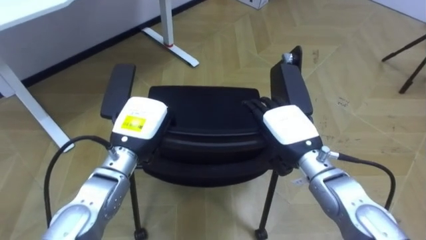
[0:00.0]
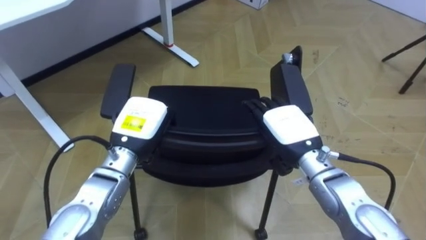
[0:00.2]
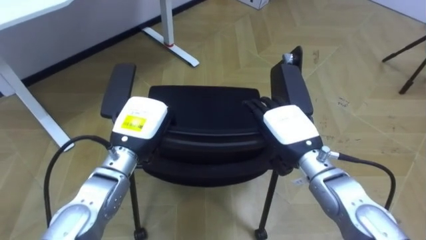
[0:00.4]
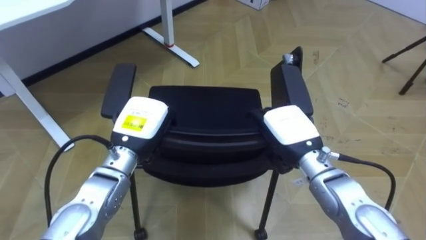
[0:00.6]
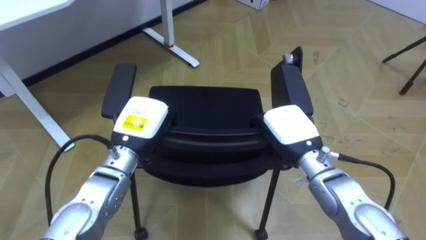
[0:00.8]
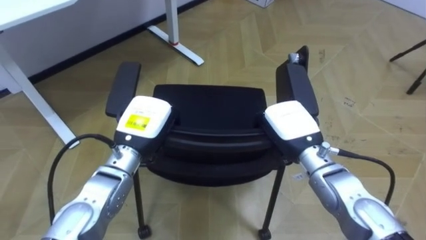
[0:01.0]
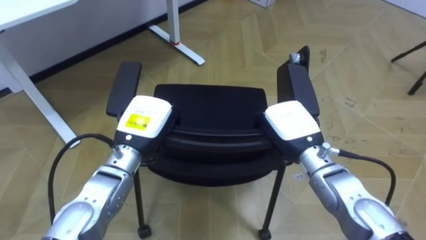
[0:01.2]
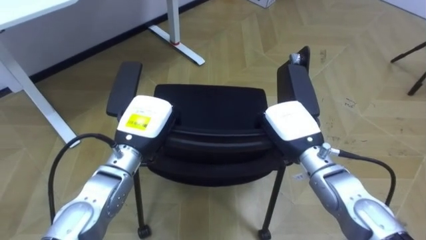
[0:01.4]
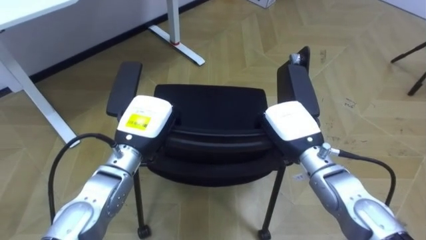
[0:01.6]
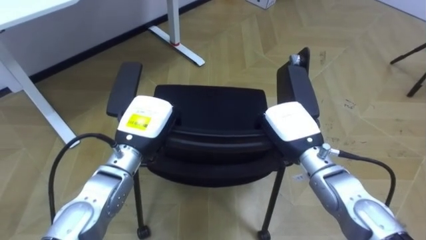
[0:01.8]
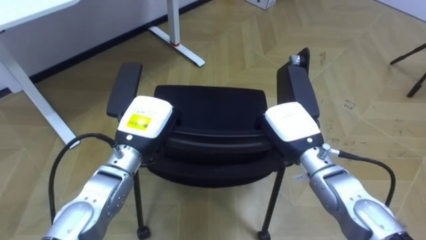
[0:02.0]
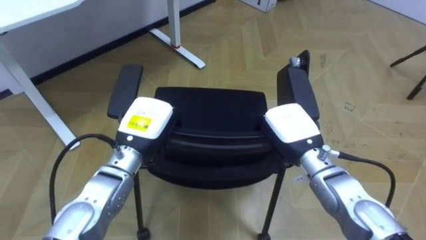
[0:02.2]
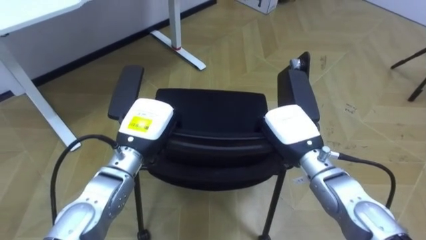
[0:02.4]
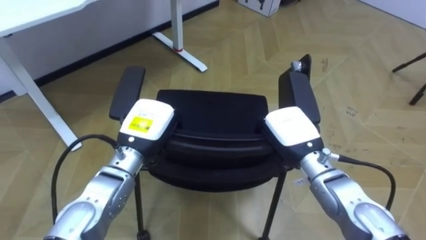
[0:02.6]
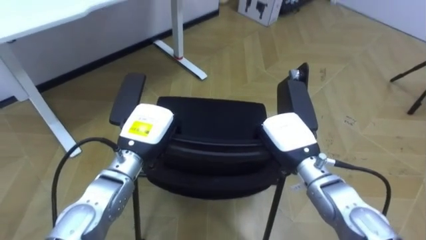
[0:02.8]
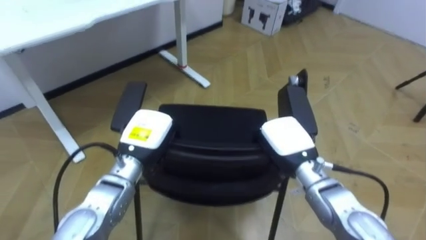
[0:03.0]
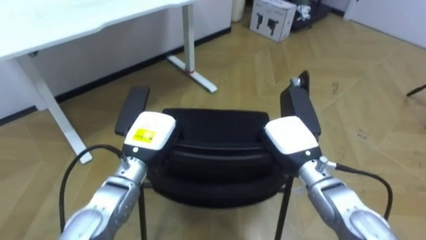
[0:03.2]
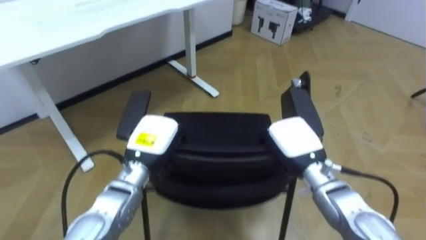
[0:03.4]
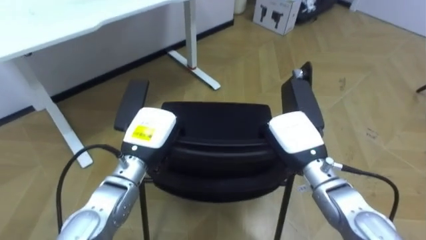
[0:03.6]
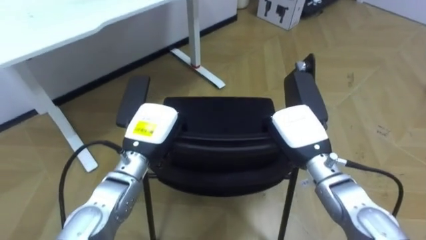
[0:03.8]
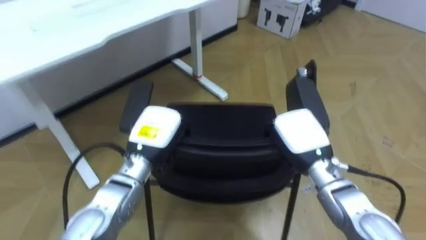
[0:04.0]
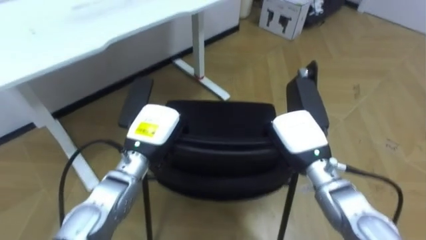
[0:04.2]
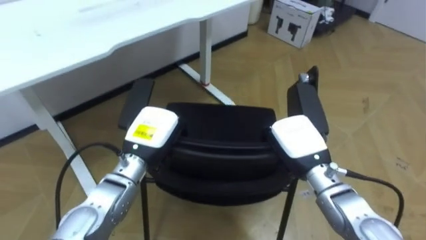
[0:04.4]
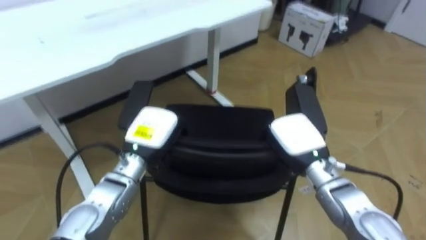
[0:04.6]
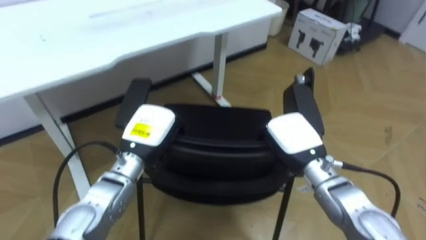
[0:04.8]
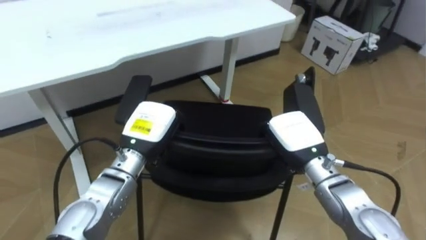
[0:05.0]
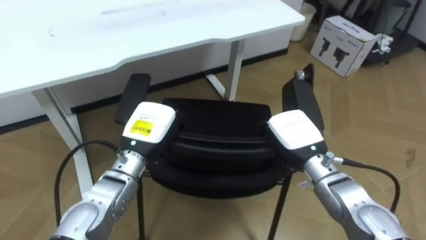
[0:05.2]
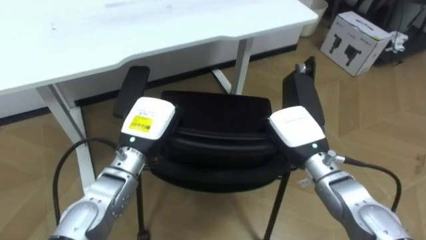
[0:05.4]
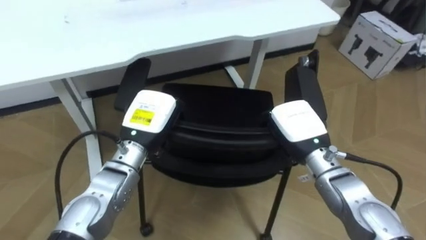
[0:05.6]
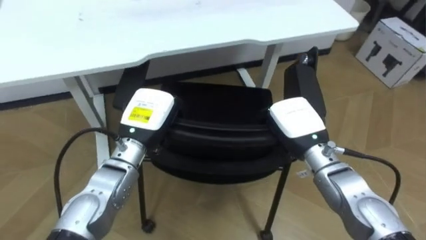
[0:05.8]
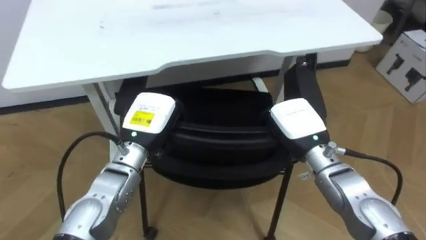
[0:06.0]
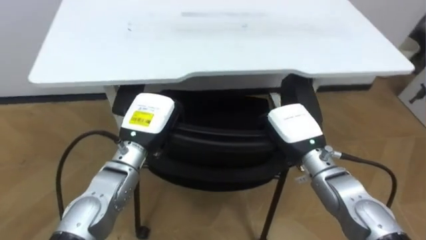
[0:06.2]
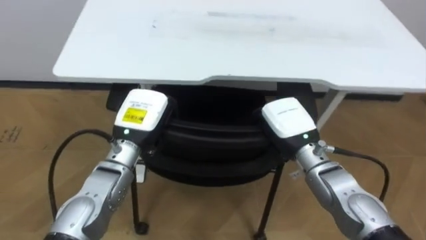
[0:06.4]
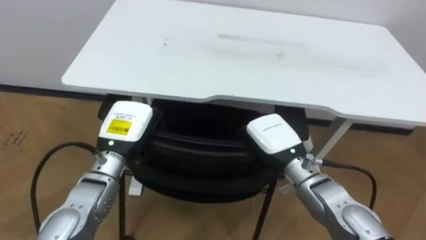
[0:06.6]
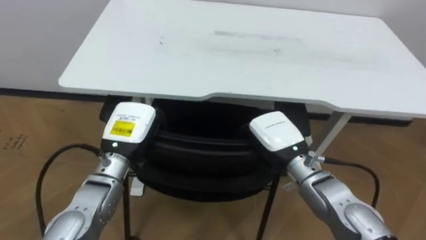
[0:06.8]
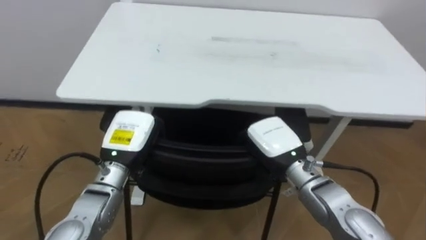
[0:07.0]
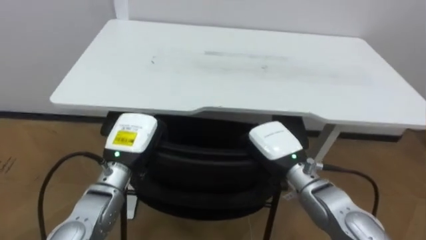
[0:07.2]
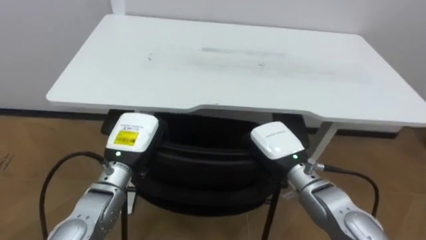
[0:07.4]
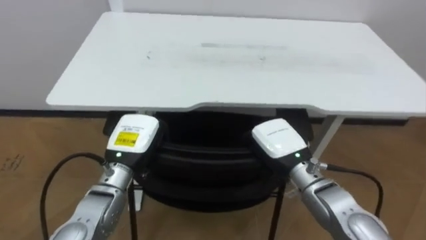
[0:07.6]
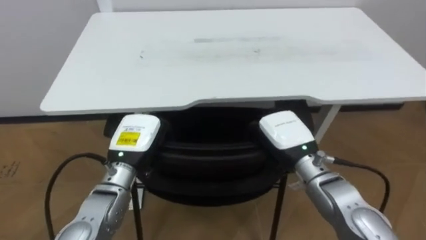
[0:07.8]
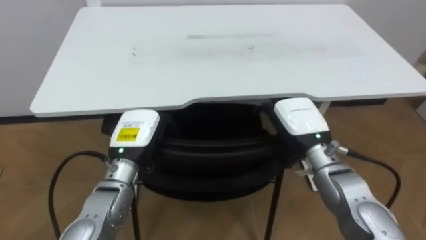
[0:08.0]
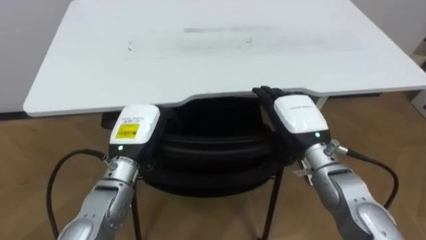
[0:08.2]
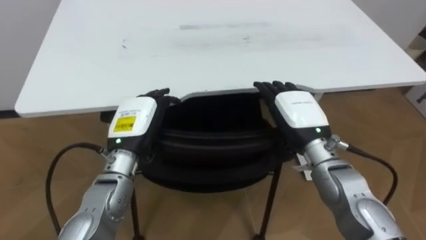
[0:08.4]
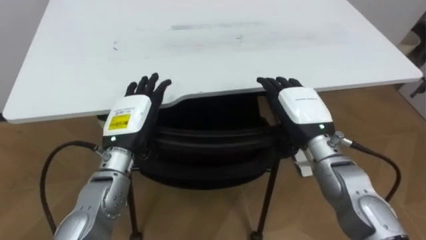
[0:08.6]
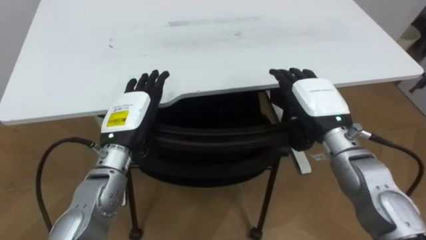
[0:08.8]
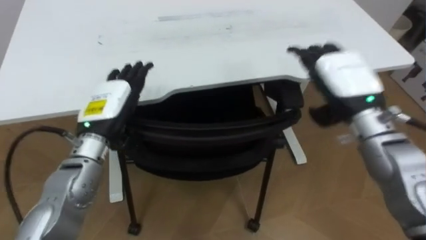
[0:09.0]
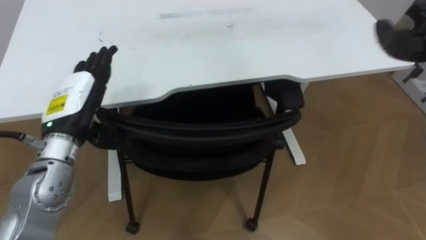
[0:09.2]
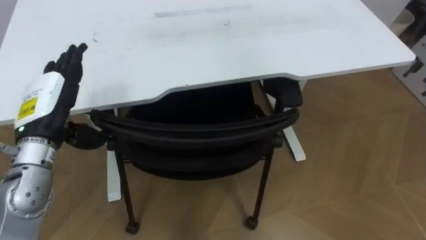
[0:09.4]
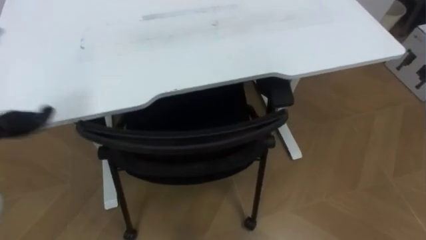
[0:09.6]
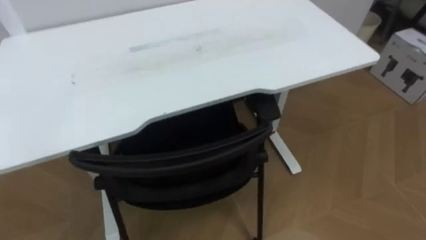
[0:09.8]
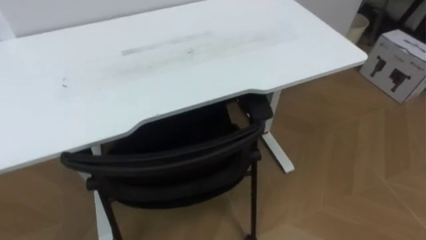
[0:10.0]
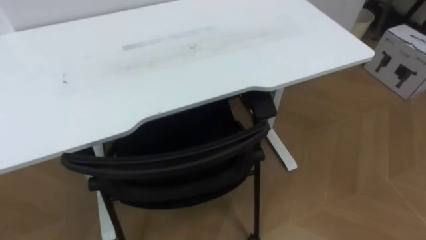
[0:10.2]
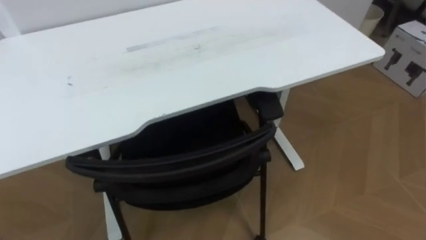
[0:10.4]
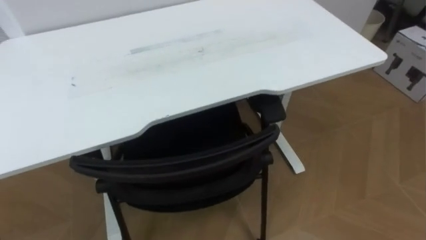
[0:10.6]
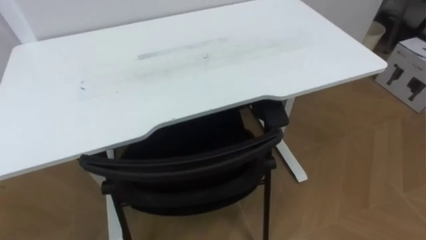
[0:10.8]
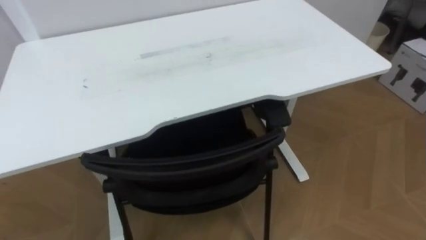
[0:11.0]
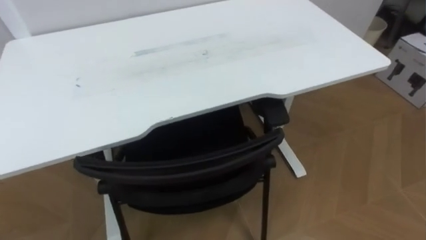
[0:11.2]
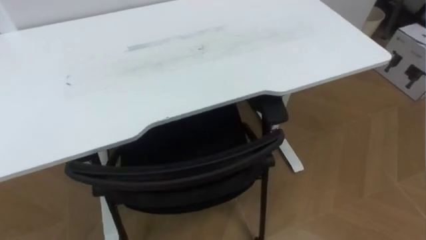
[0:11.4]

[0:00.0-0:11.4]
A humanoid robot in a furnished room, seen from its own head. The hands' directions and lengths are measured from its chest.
Task of the whole recording: Push the chair under the table.
0:00.0 to 0:01.4: The right hand closes its fingers.
0:04.2 to 0:05.6: The robot faces roughly 20 degrees further to its left.
0:05.6 to 0:07.2: The robot turns to its left by approximately 20 degrees. The right hand ends up some 5 cm from where it was. The left hand changes place by some 5 cm.
0:07.2 to 0:08.6: The right hand travels upward by roughly 5 cm, and opens, while the left hand opens its fingers.

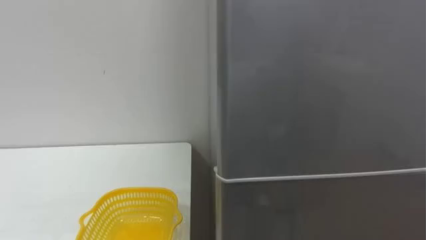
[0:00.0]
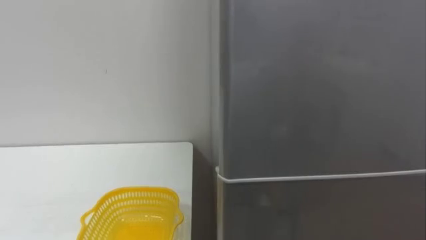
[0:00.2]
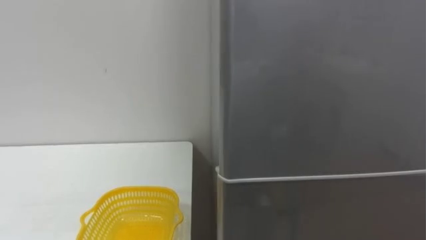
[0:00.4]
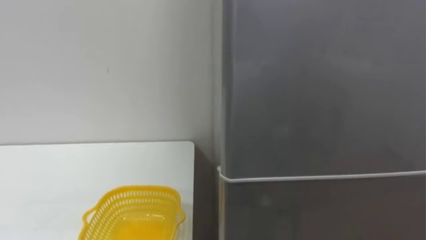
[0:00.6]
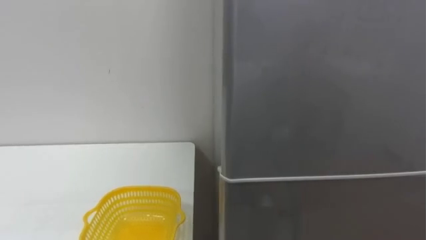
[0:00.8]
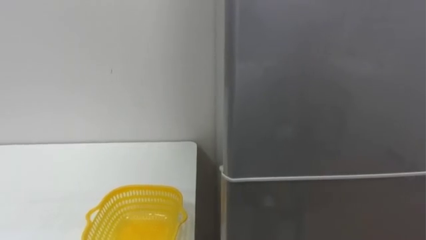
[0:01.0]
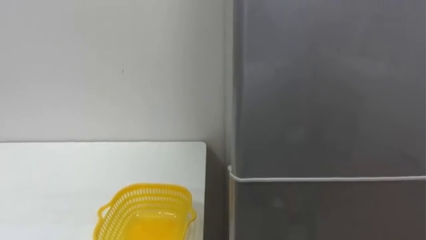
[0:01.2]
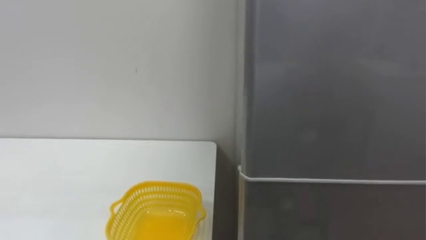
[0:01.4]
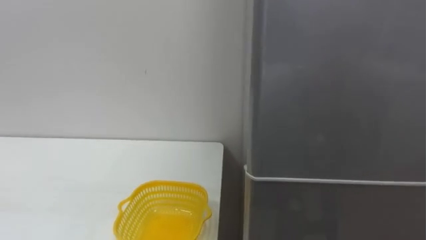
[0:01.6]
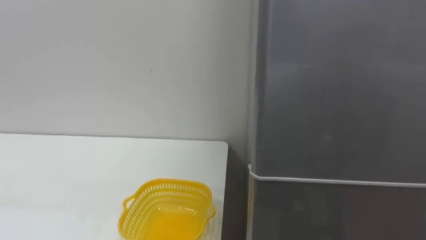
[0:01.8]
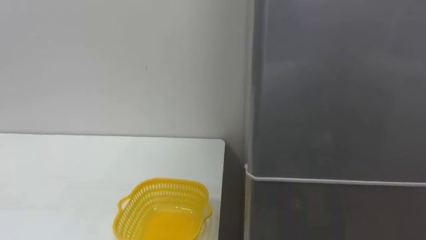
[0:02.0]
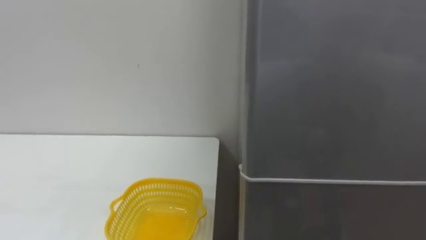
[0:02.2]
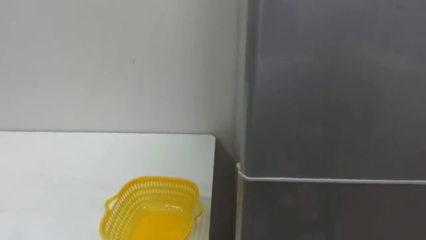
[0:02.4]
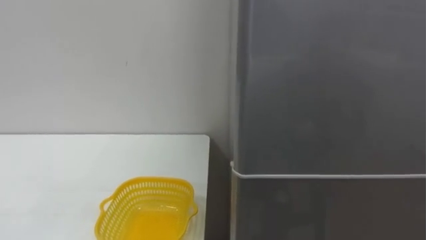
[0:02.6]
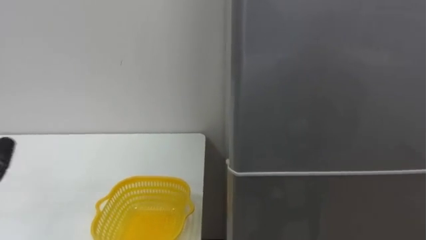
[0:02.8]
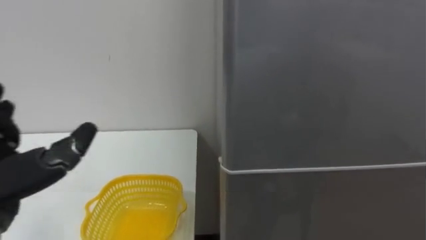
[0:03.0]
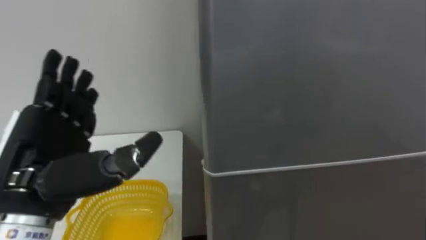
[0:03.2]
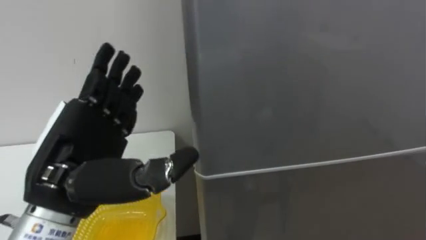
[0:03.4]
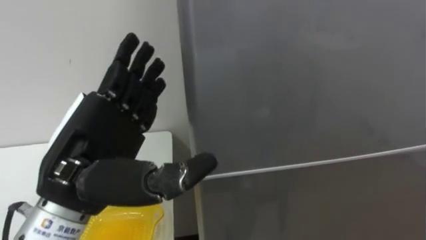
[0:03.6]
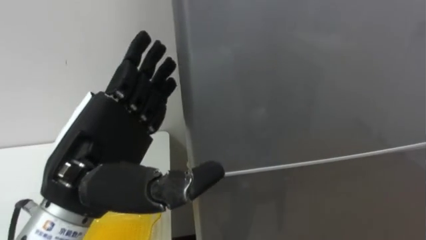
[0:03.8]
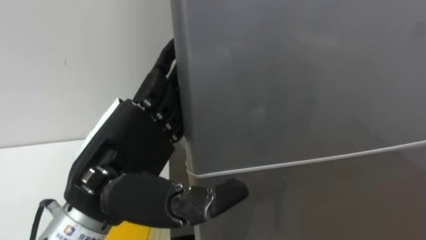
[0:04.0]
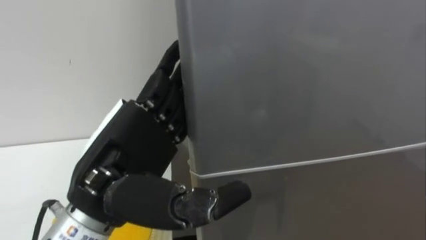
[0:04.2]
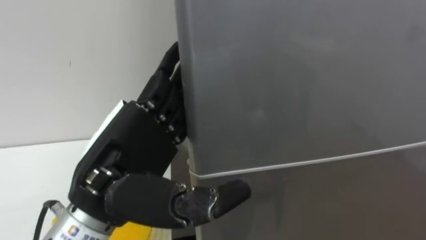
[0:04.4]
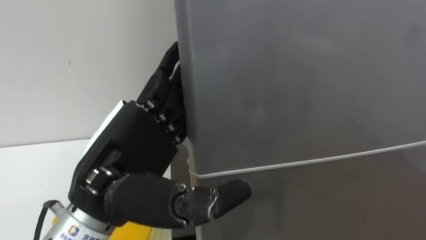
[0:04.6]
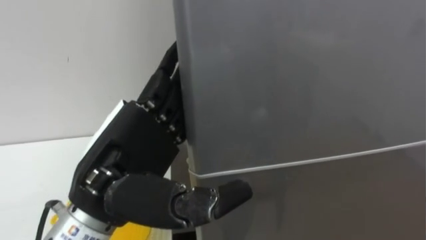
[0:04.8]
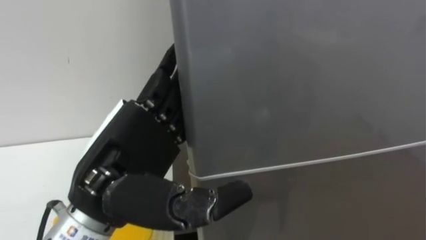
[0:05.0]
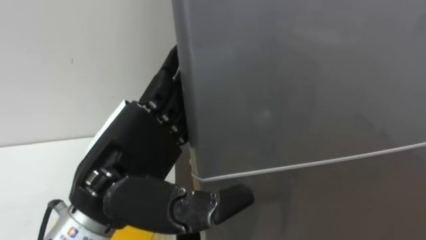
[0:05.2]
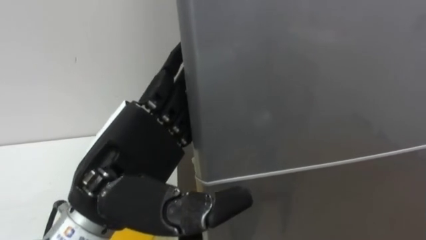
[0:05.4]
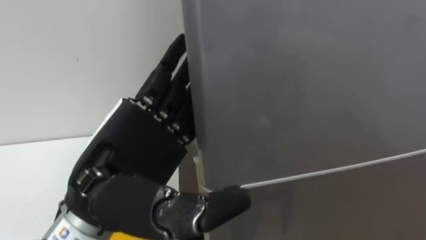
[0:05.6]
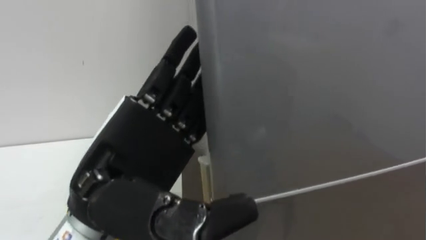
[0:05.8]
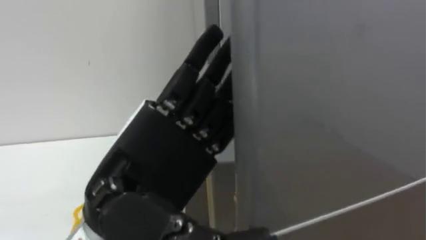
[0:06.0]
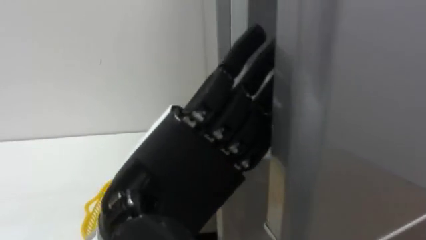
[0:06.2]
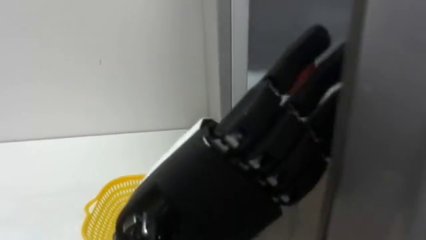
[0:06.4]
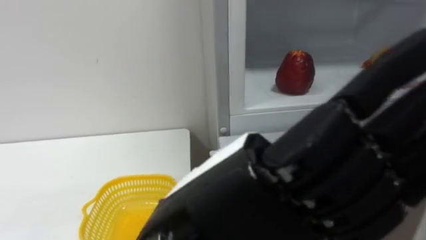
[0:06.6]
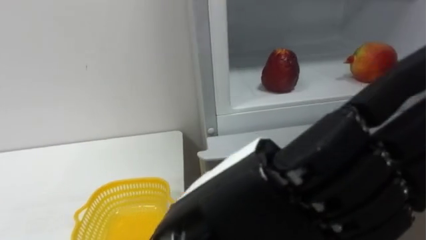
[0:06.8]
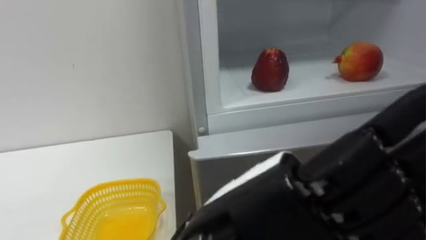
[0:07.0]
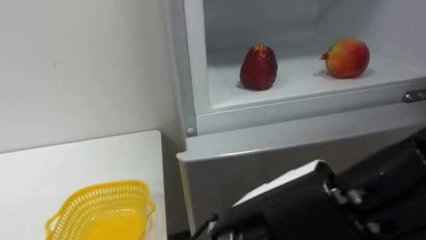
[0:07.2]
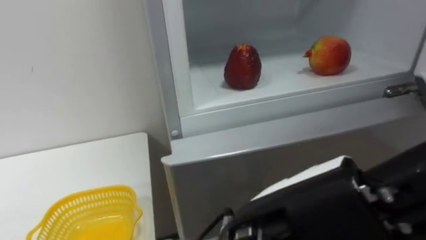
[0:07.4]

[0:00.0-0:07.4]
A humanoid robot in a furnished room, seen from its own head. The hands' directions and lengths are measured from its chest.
Task of the whole recording: Open the refrigerator door, take out the apple and the pomegranate, place them in the fruit basket on the left, and close the refrigerator door.
0:06.0 to 0:07.4: The left hand travels to the right and backward by about 15 cm.
